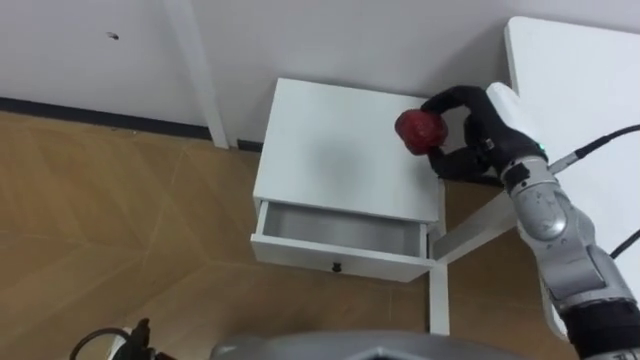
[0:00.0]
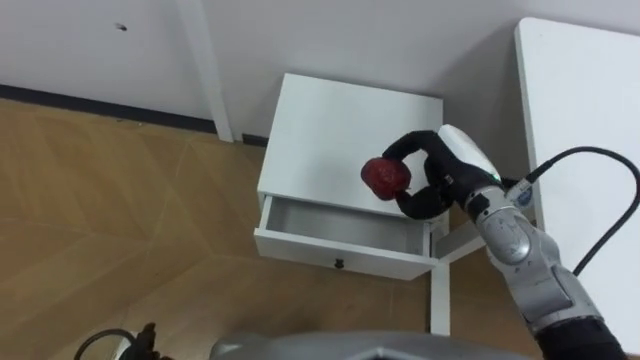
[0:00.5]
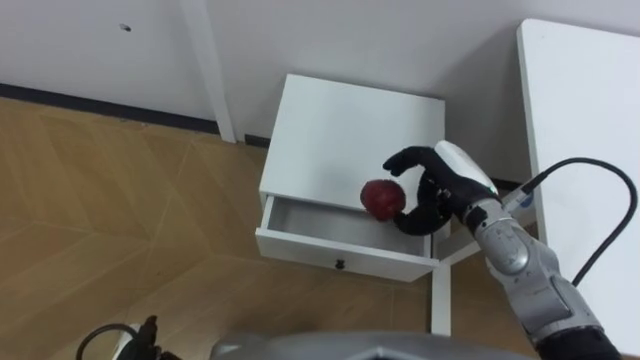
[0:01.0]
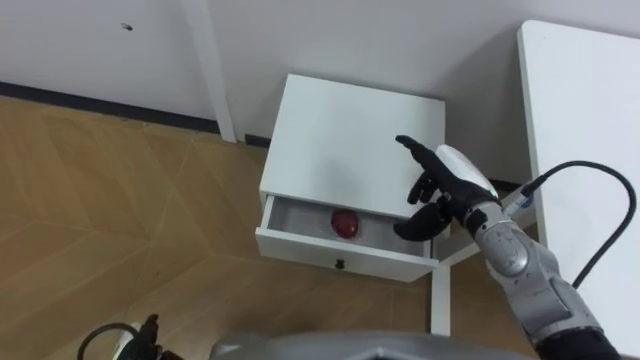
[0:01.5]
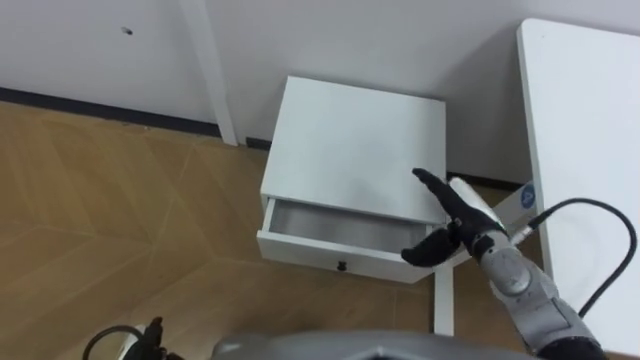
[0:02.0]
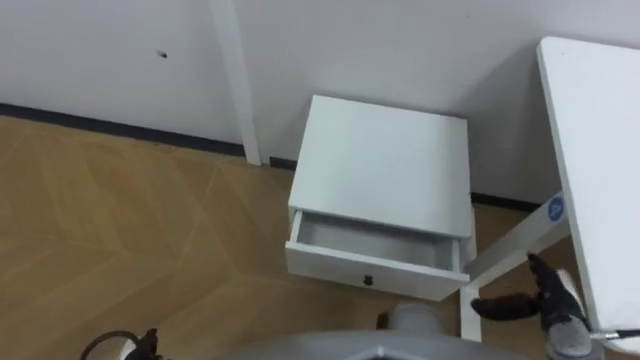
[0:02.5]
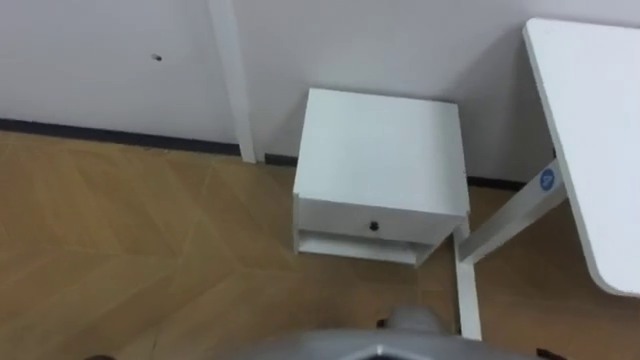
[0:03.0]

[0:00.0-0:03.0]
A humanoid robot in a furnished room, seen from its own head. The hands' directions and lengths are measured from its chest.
Task of the whole recording: Pick up the apple from the table, put it in the drawer, and close the drawer with leg.
0:00.0 to 0:01.5: The right hand is displaced downward by about 5 cm, and opens.

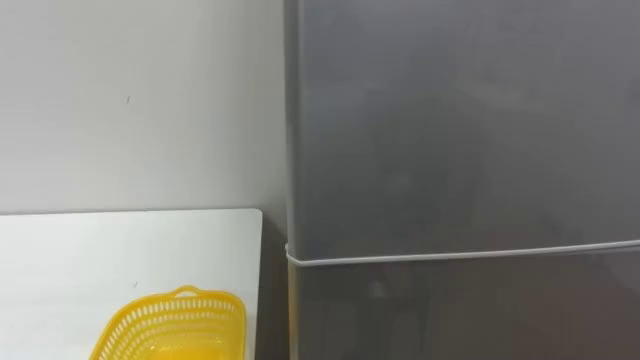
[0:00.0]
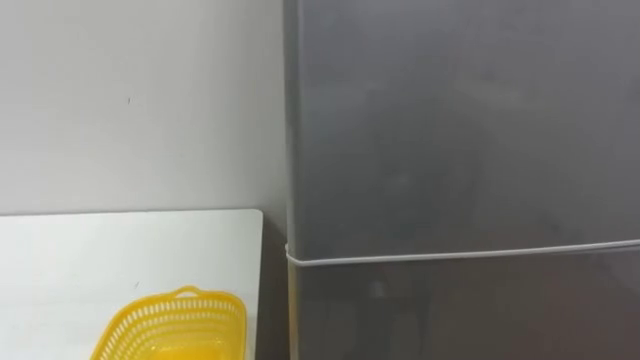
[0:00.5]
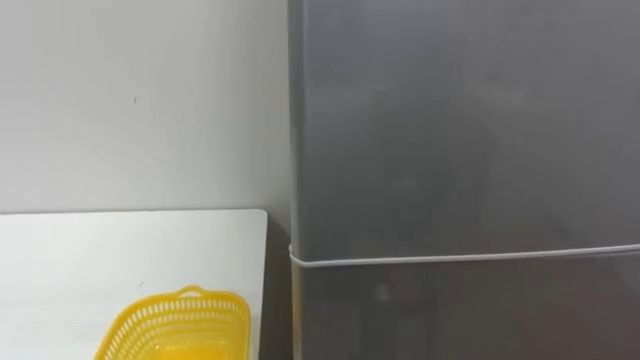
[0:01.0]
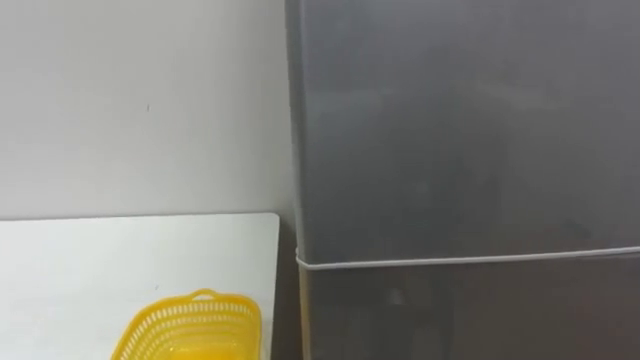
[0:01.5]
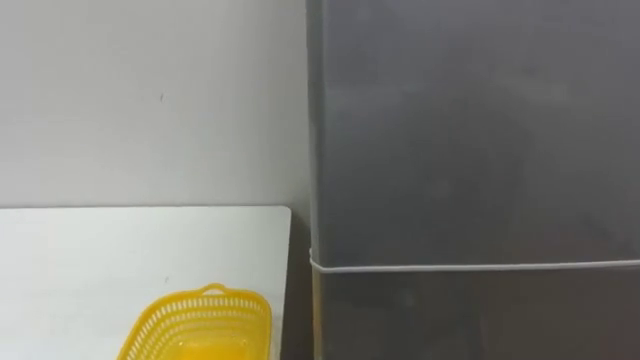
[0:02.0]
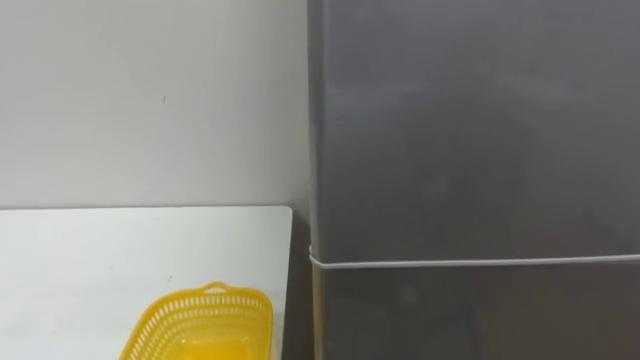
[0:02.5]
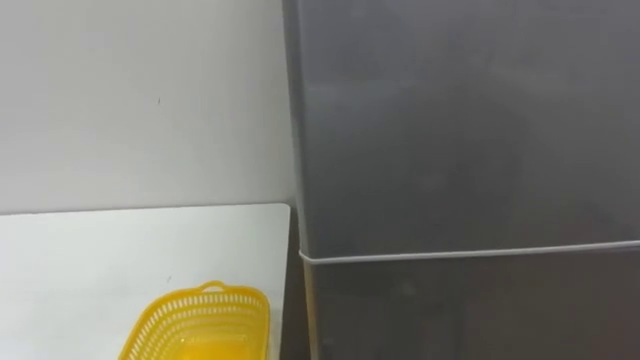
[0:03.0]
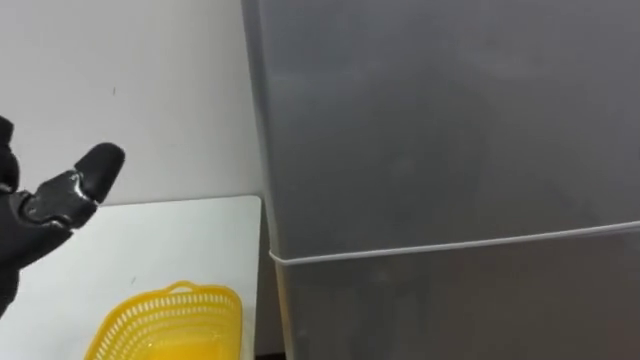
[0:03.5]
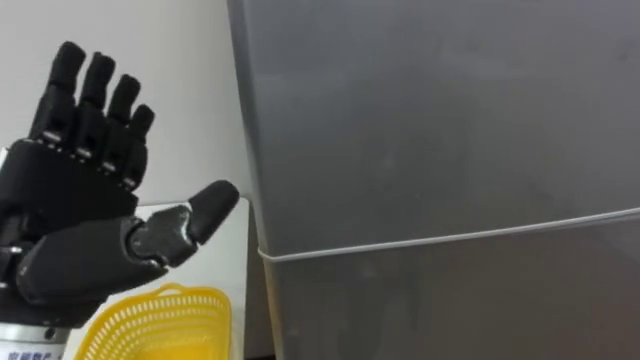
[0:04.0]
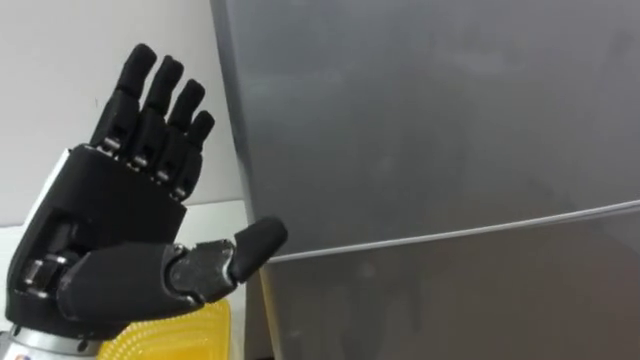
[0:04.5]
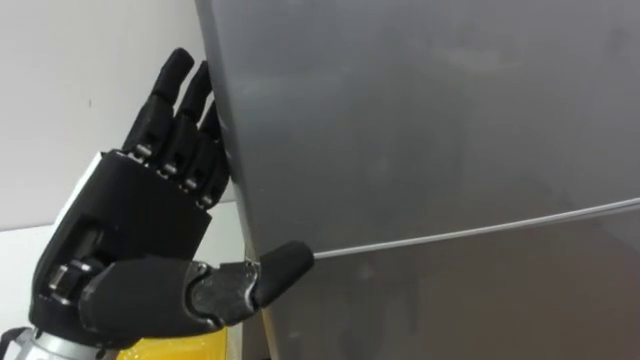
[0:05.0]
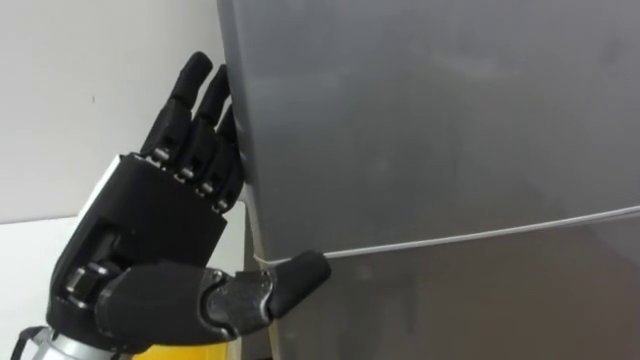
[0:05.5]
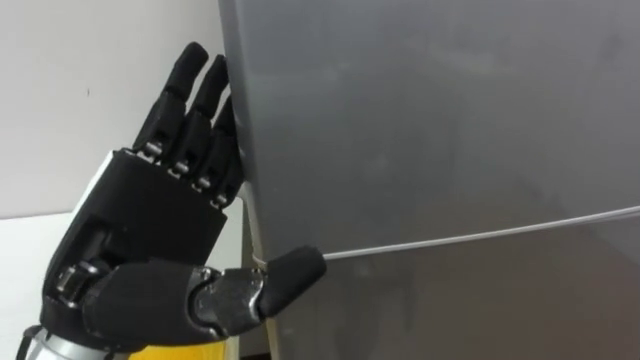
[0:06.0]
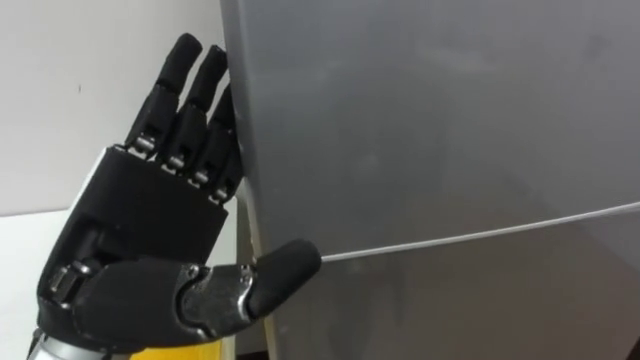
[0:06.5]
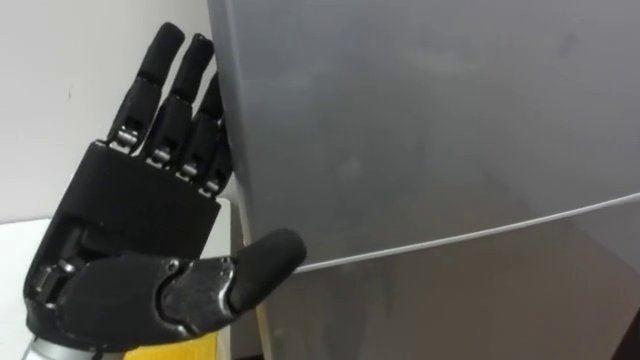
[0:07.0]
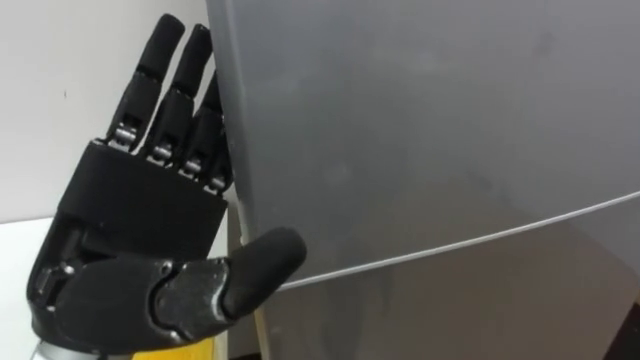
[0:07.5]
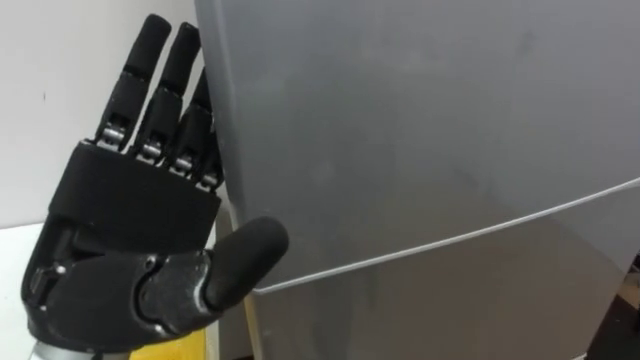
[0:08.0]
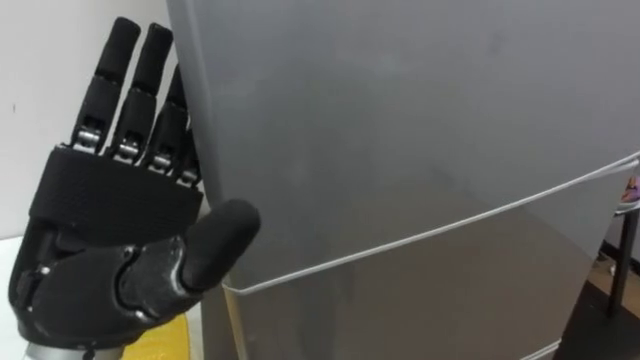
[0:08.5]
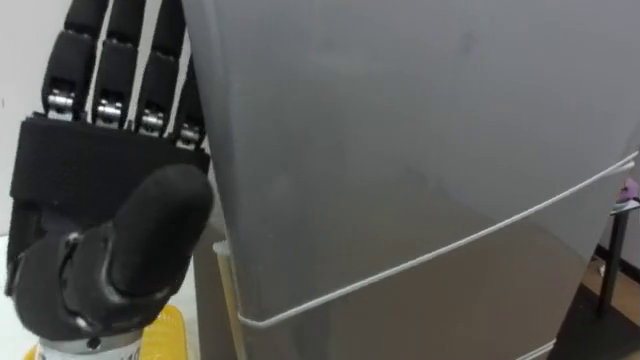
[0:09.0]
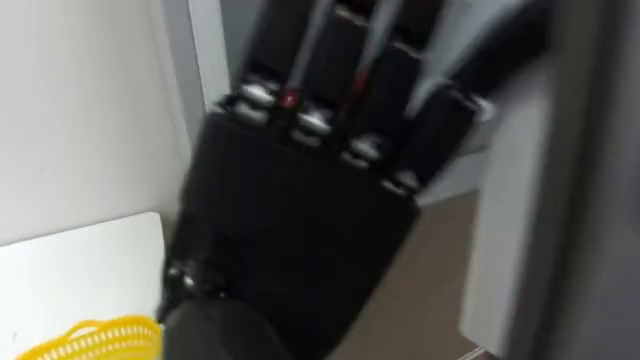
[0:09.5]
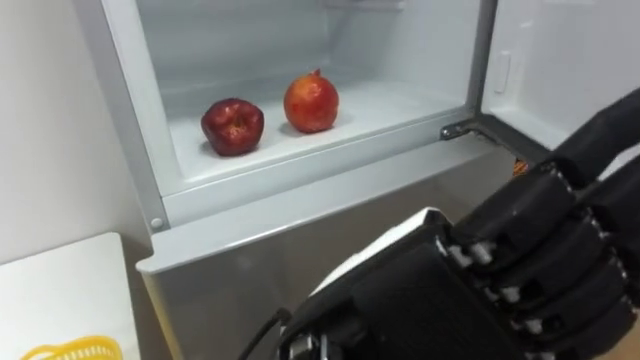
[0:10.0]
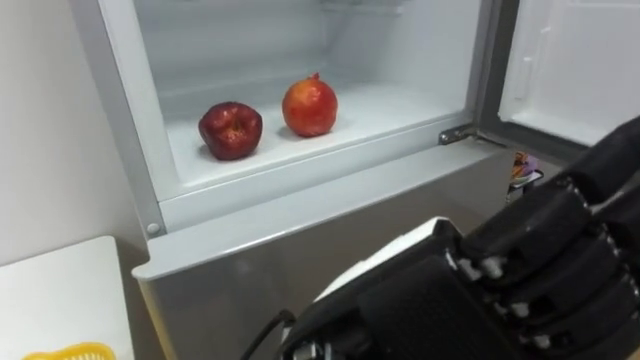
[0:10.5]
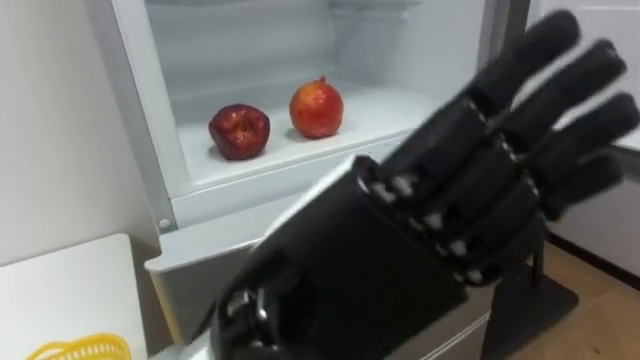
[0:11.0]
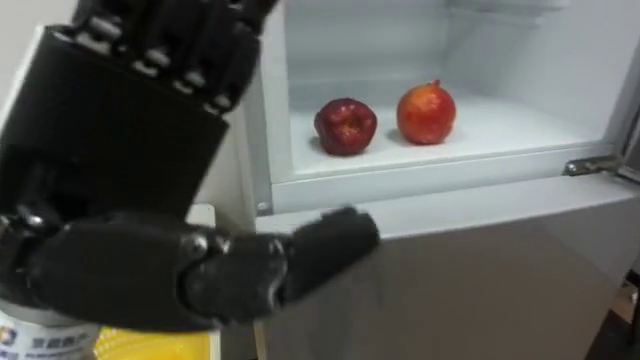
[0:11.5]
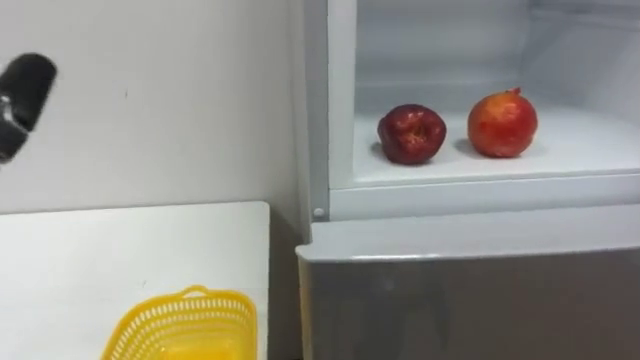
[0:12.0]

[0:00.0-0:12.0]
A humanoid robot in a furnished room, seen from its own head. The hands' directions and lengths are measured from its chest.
Task of the whole recording: Open the refrigerator door, take out the apple and the pomegranate, place them in the fruit basket on the left, and close the refrigerator door.
0:04.0 to 0:06.0: The left hand travels to the right by some 5 cm.
0:08.0 to 0:10.0: The left hand heads to the right and backward, covering some 15 cm.

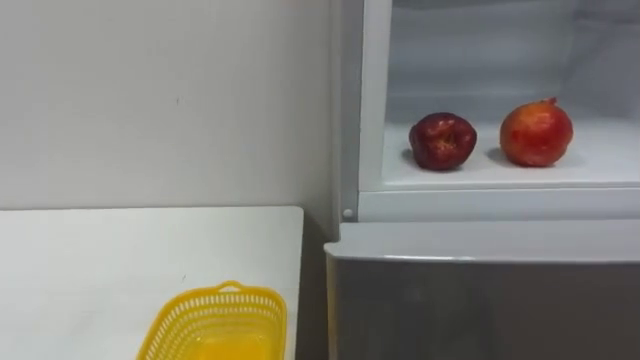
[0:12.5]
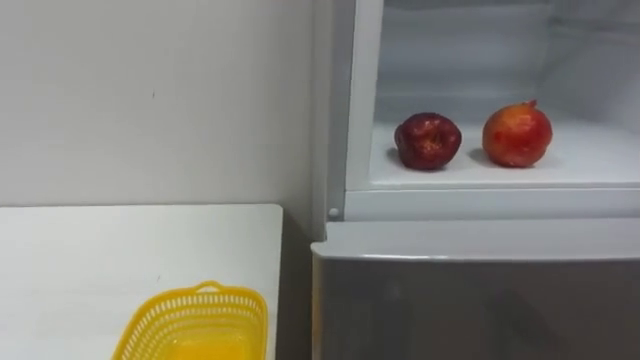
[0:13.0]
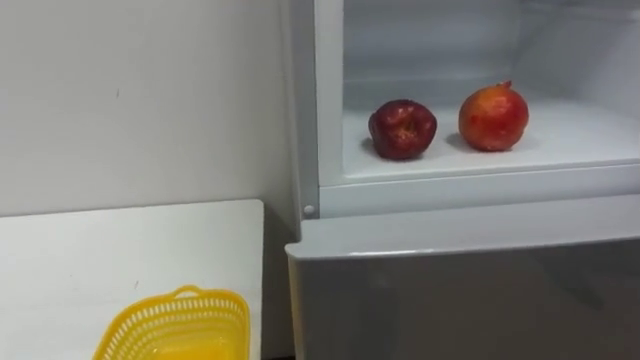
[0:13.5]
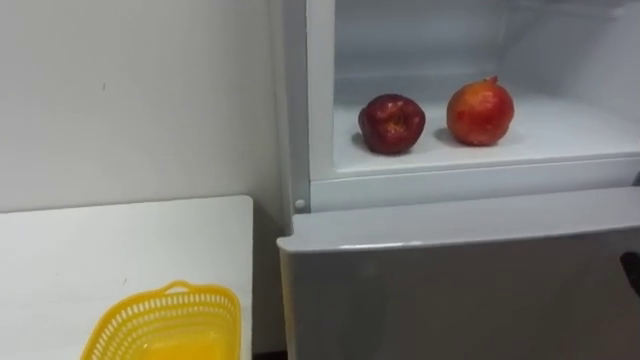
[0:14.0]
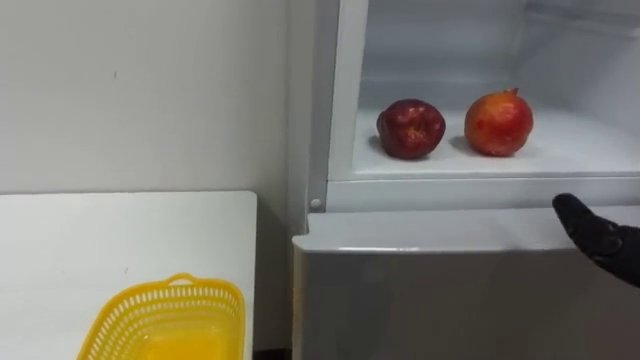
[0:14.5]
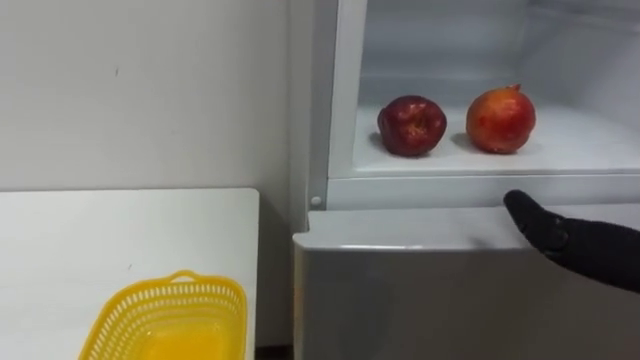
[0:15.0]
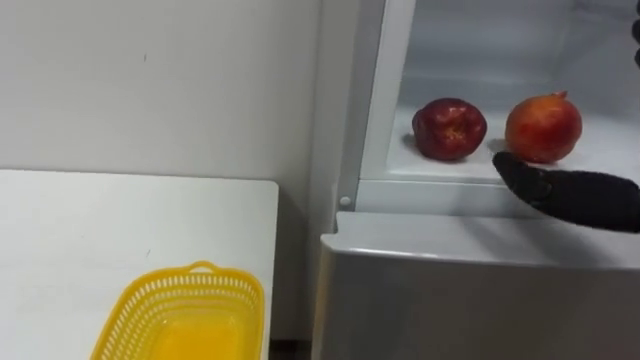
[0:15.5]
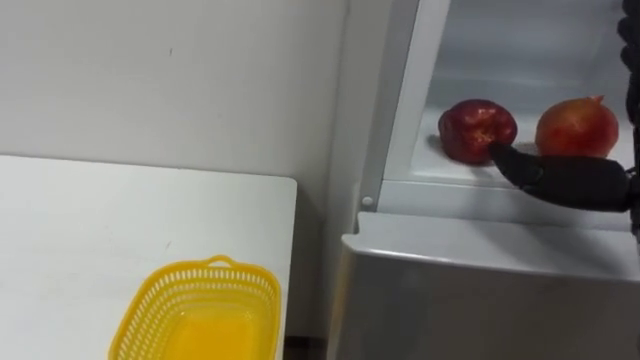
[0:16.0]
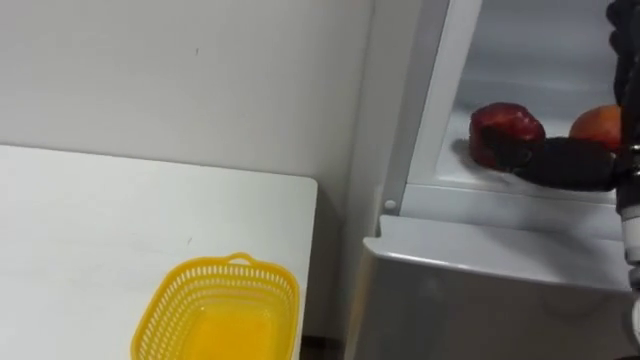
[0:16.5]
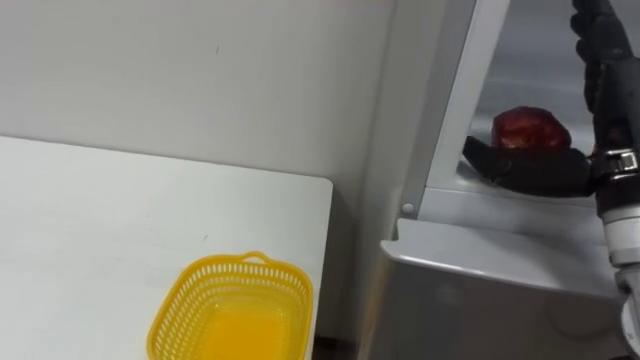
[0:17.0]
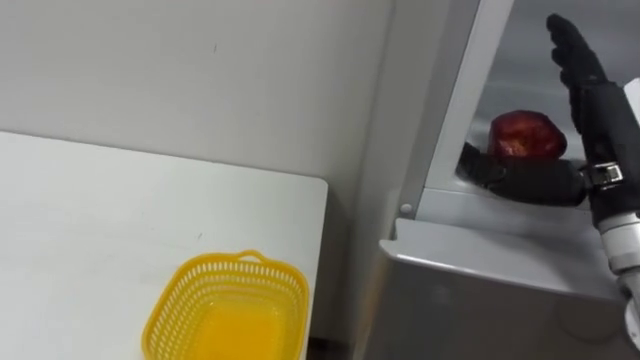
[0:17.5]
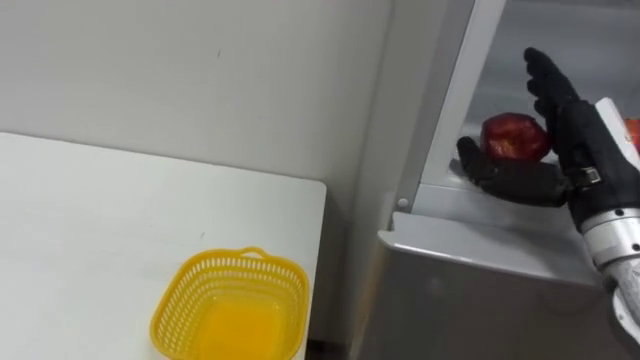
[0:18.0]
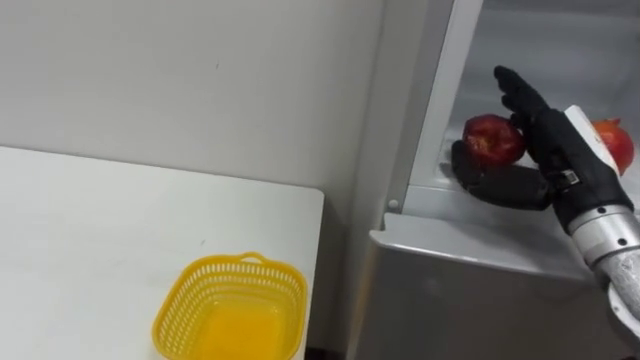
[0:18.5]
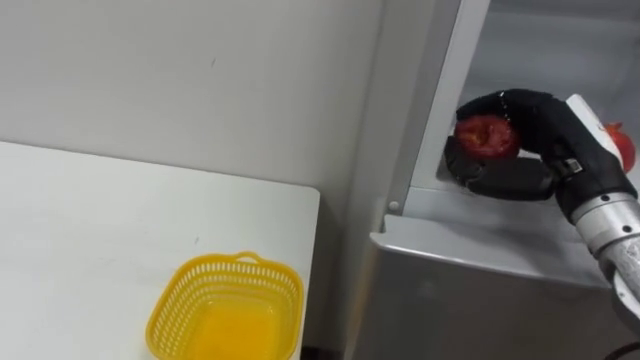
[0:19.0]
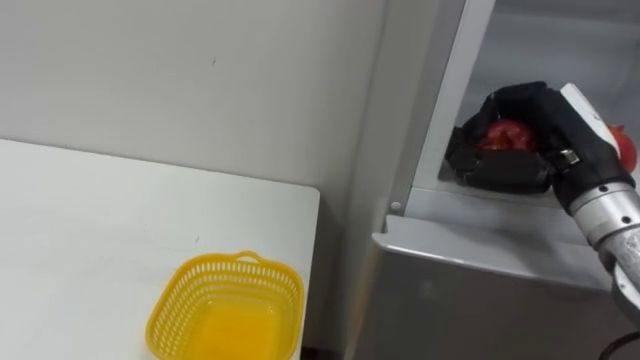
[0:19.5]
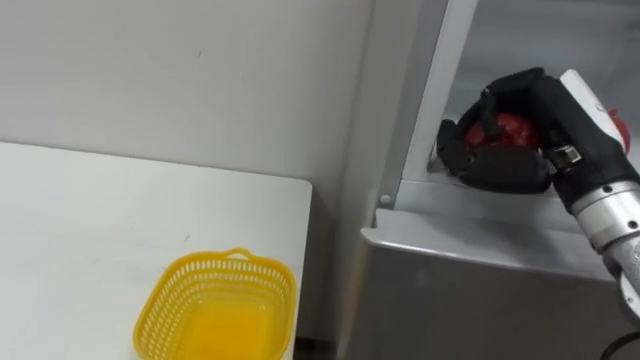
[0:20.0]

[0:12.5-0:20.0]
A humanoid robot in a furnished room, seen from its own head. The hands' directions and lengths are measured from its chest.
Task of the whole recording: Open the refrigerator door, take out the apple and the pomegranate, place them in the fruit basket on the left, and close the refrigerator door.
0:16.5 to 0:18.0: The right hand changes place by approximately 5 cm.
0:18.0 to 0:20.0: The right hand closes its fingers.
